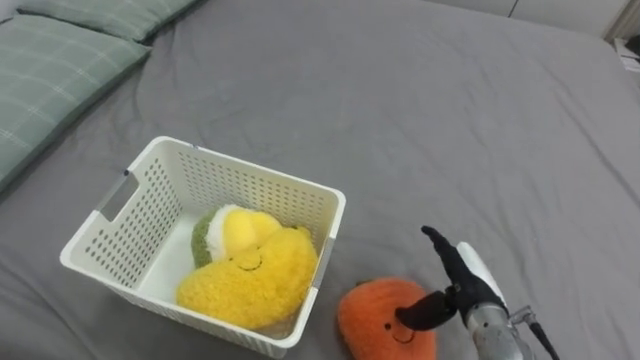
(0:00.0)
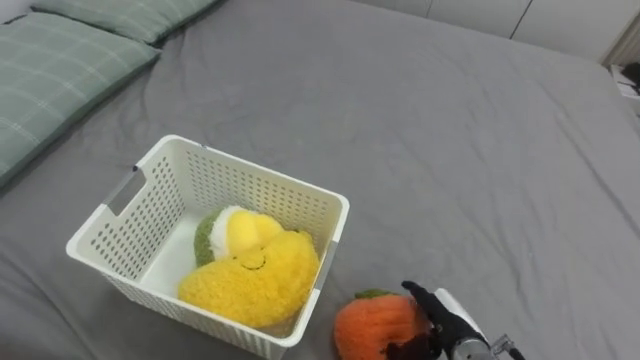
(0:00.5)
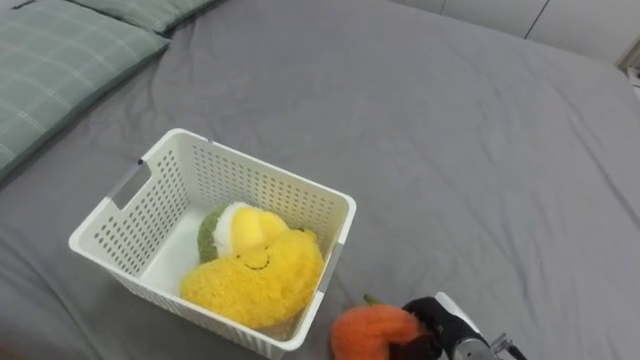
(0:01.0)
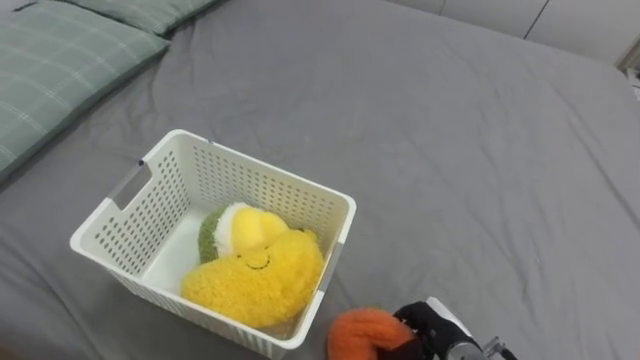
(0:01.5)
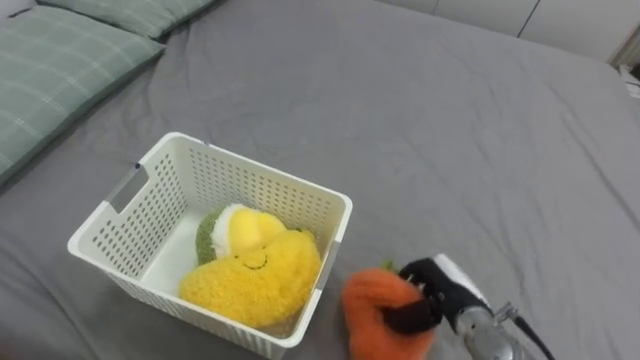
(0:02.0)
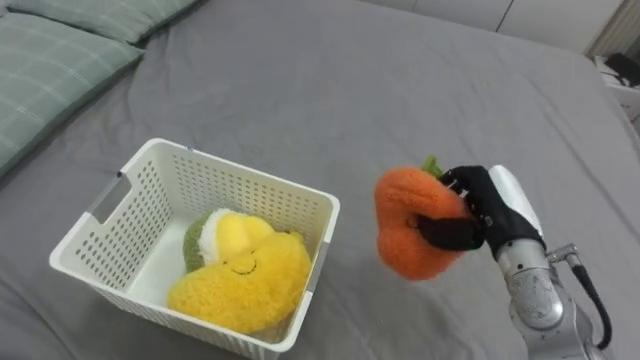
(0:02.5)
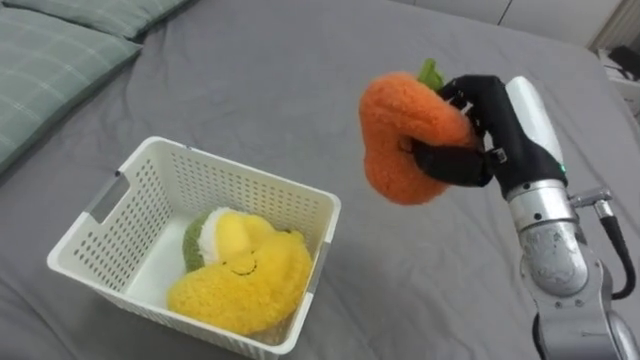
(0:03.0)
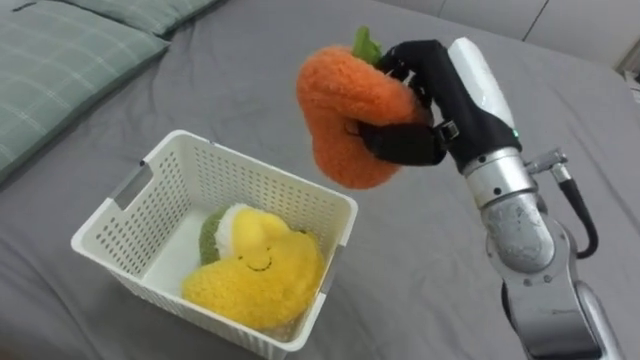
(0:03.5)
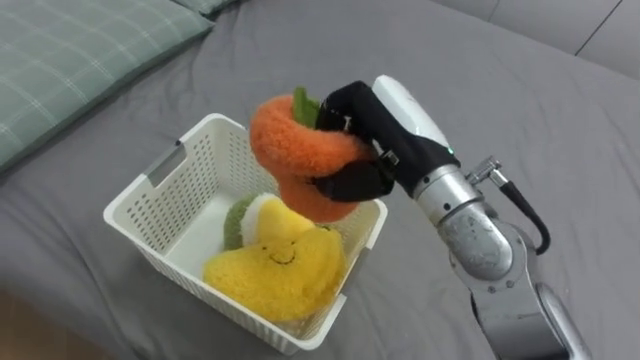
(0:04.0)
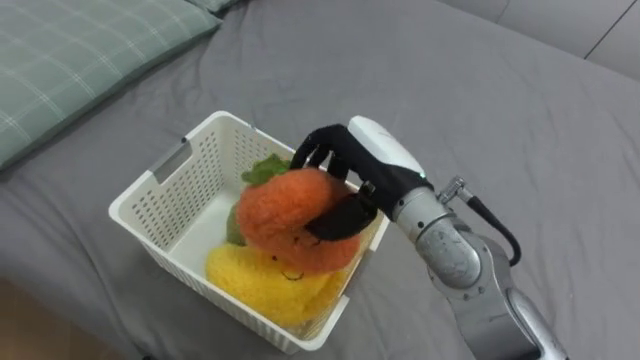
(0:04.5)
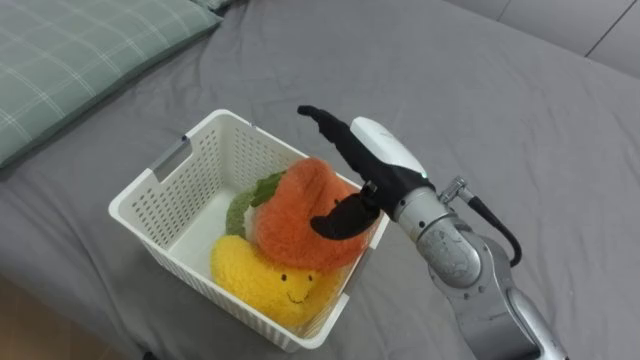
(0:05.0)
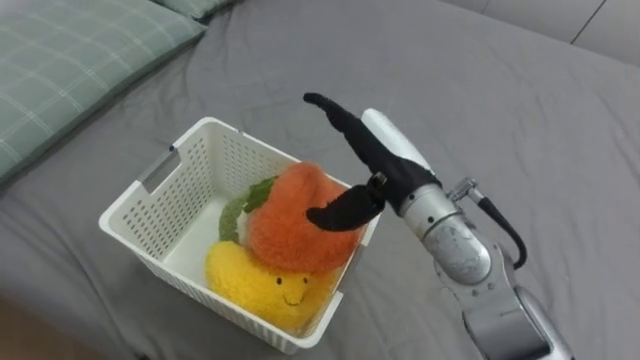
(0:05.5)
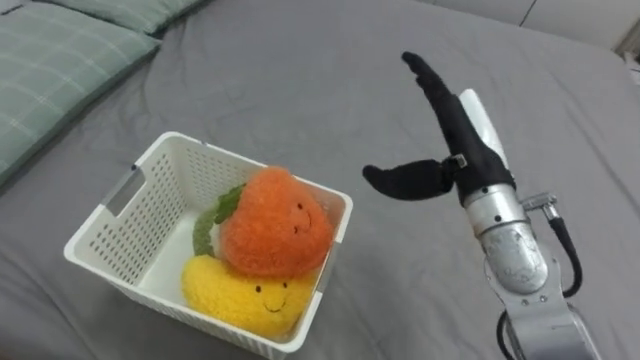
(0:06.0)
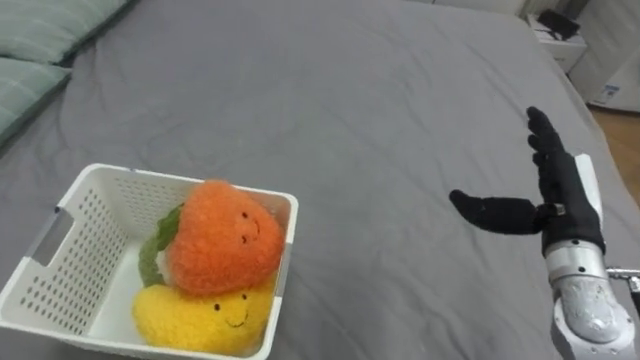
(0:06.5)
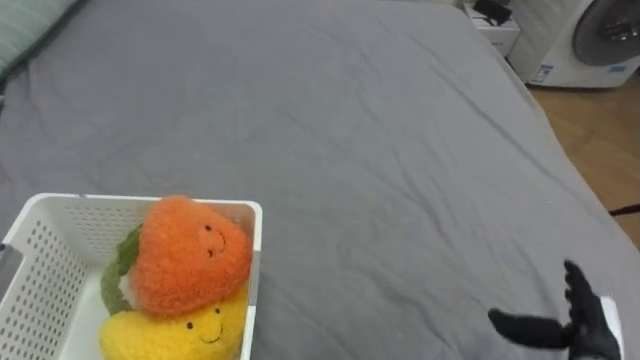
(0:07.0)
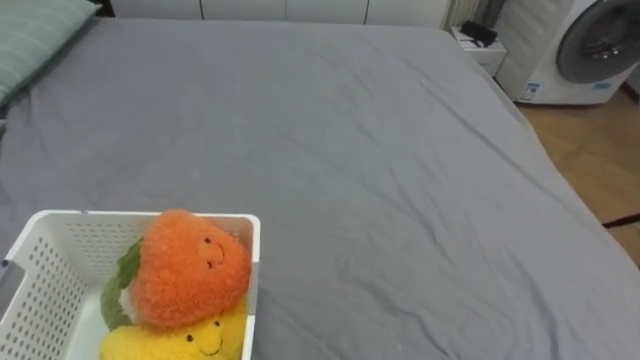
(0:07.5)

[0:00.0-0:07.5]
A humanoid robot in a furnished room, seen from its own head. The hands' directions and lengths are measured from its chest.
Task of the whole recording: Put the toys on the bed into the basket on the left.
0:00.0 to 0:02.0: The right hand closes.
0:02.0 to 0:04.0: The right hand heads upward, covering about 25 cm.
0:04.0 to 0:05.5: The right hand opens.

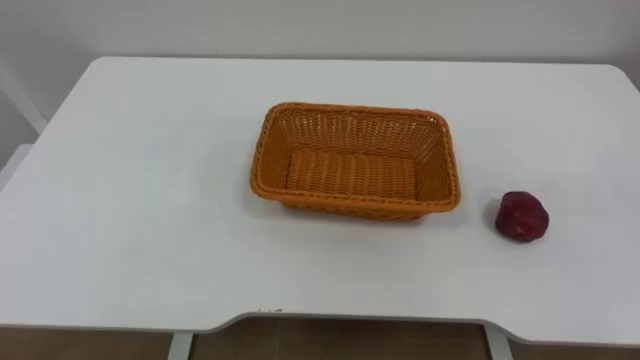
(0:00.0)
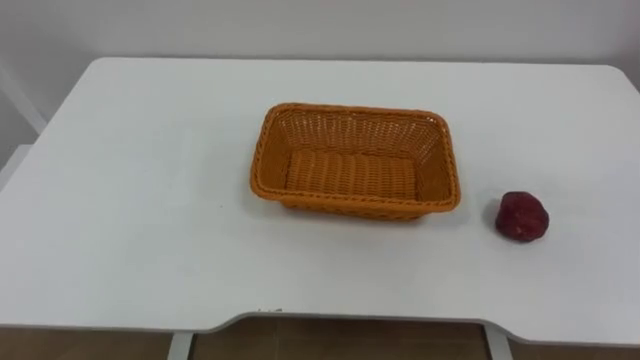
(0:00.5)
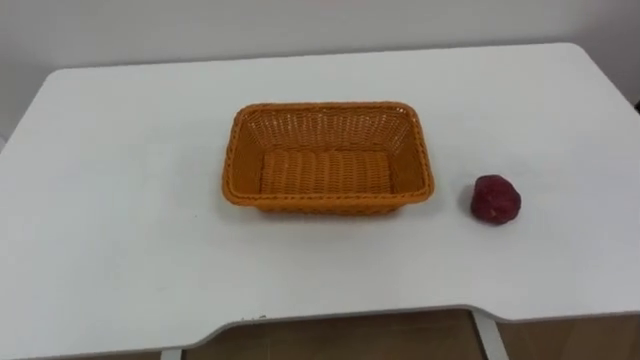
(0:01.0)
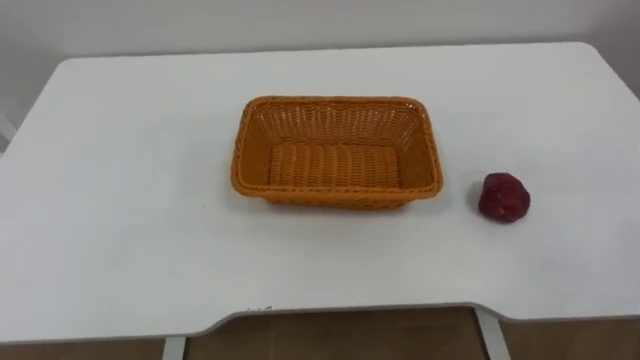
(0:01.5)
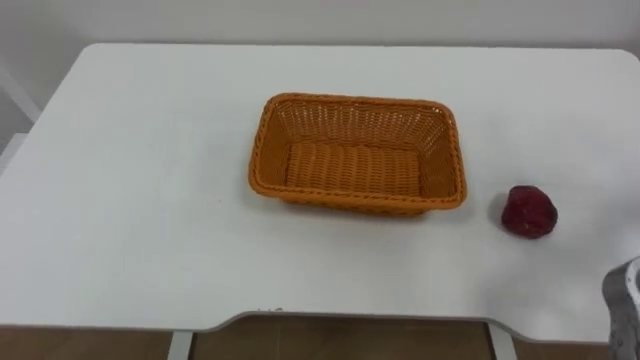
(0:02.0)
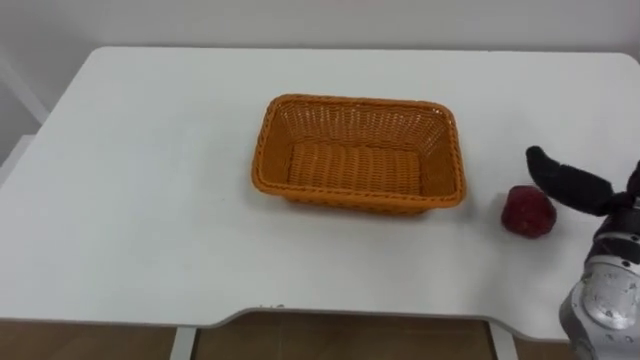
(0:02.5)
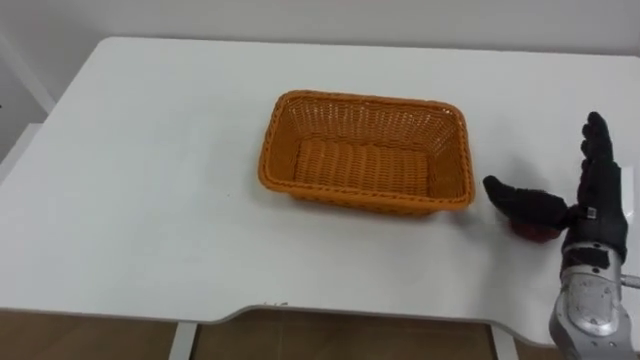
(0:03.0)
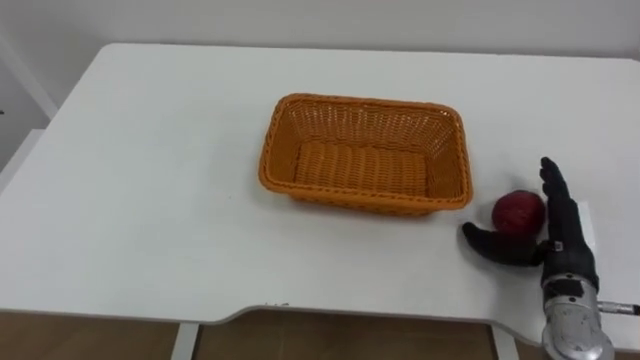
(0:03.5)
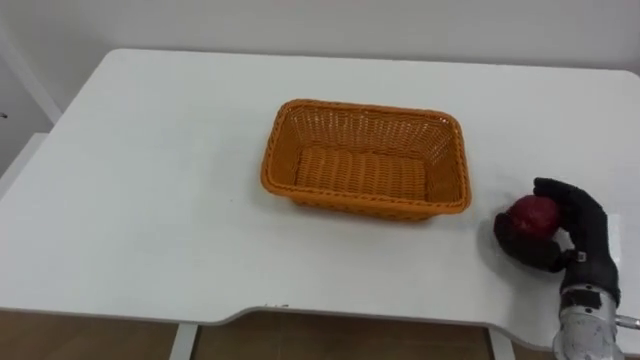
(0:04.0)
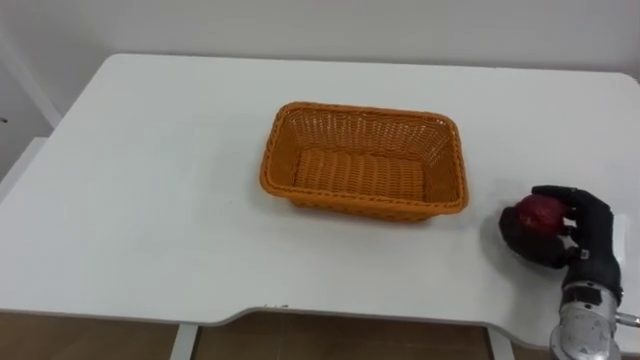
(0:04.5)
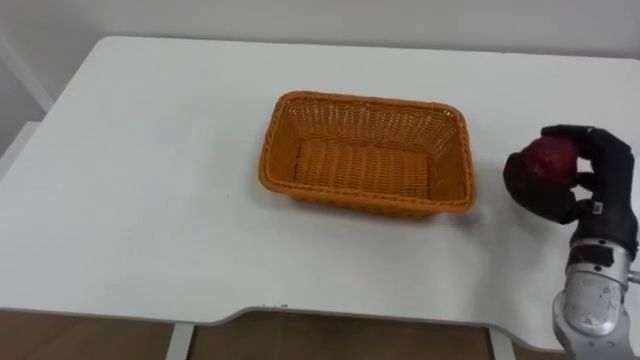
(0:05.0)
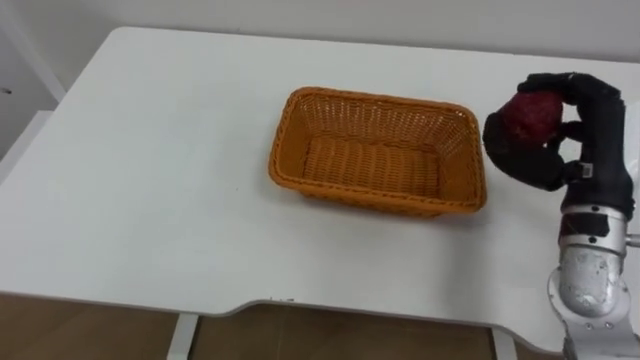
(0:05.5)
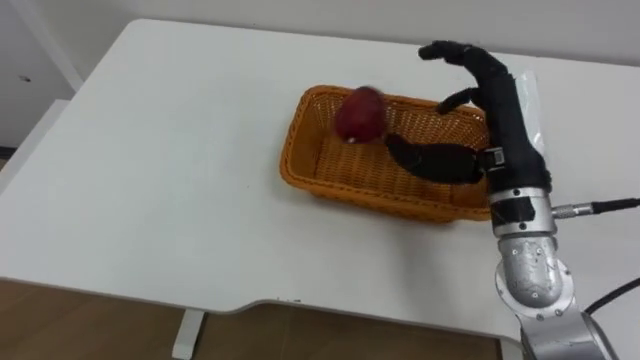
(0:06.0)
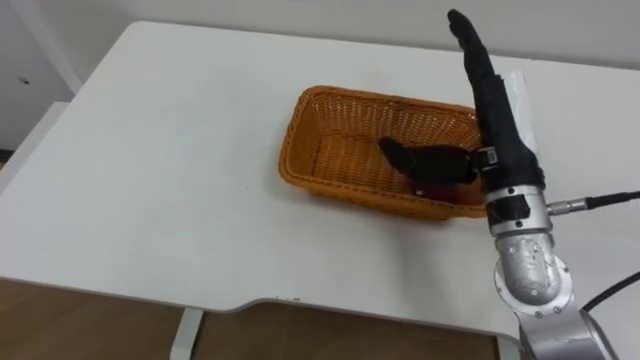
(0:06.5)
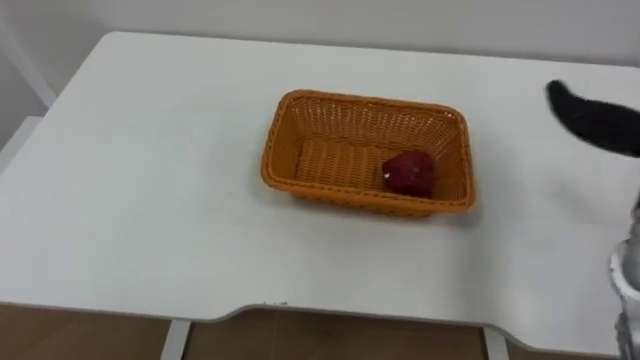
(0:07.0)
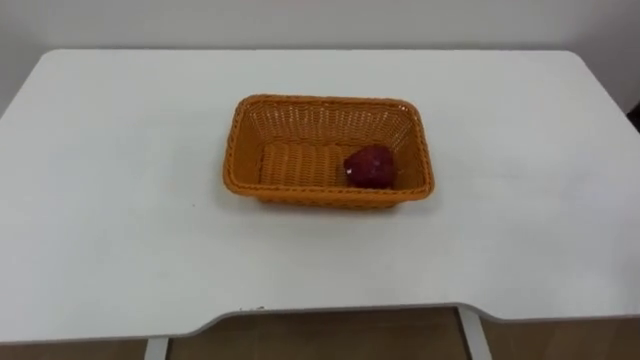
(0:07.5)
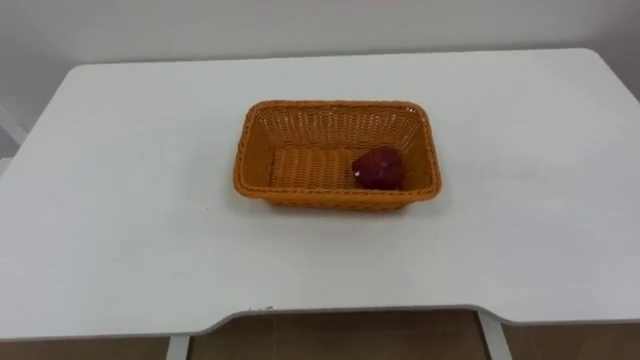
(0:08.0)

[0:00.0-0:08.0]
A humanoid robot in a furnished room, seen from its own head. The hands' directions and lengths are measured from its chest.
Task of the whole recording: Pick the apple and place it in the box.
0:04.0 to 0:06.0: The right hand is displaced upward and to the left by about 20 cm.

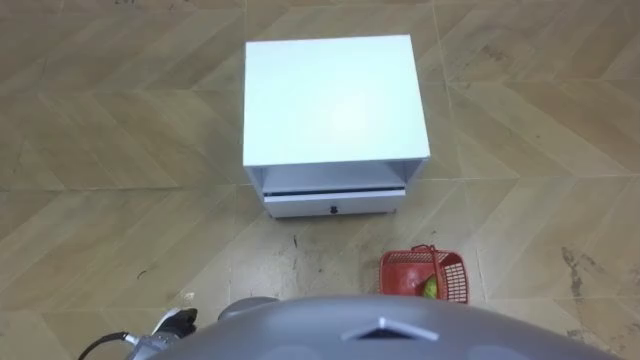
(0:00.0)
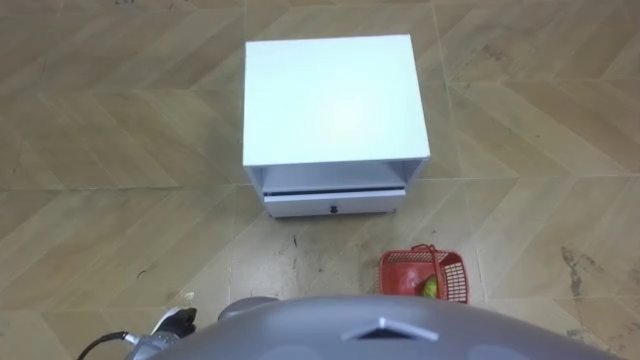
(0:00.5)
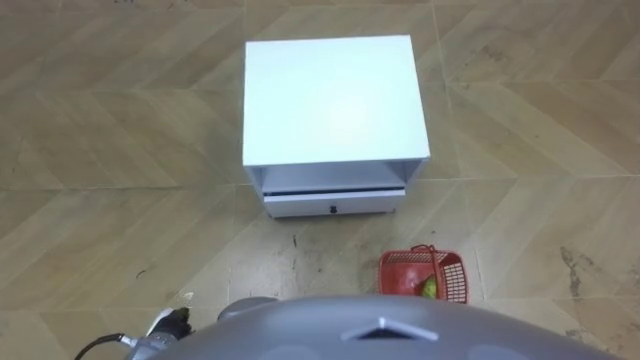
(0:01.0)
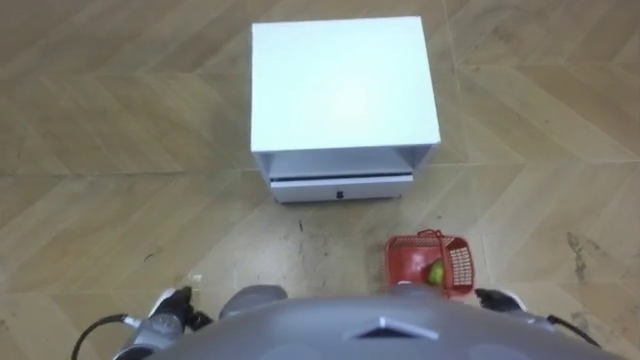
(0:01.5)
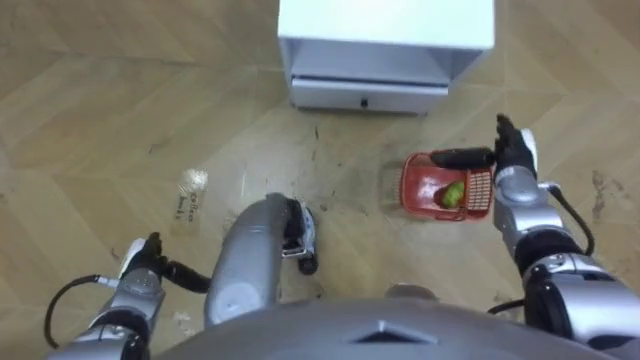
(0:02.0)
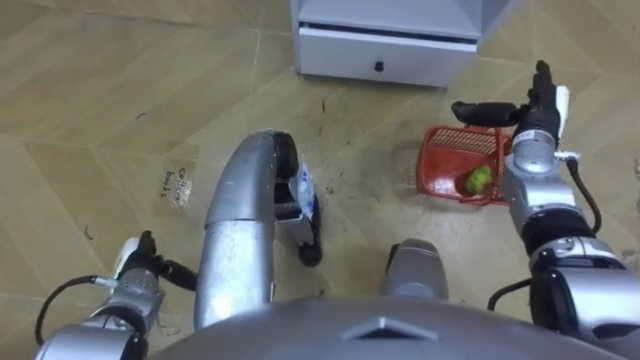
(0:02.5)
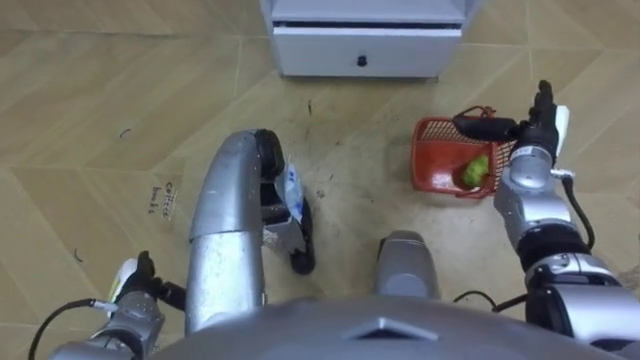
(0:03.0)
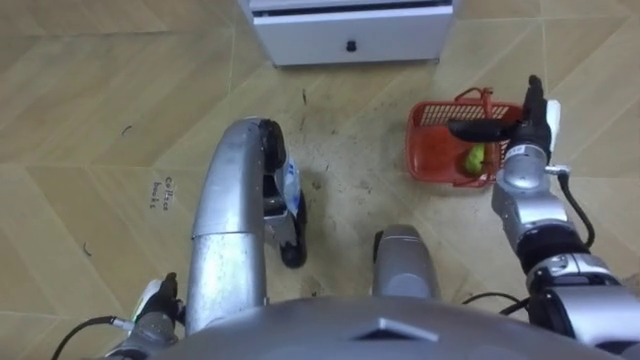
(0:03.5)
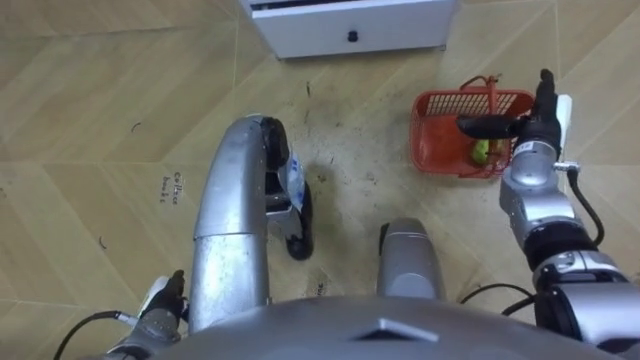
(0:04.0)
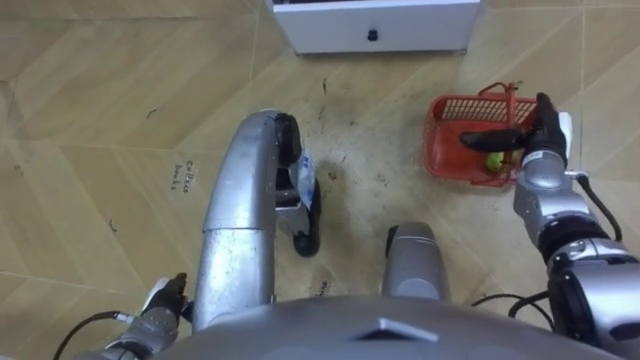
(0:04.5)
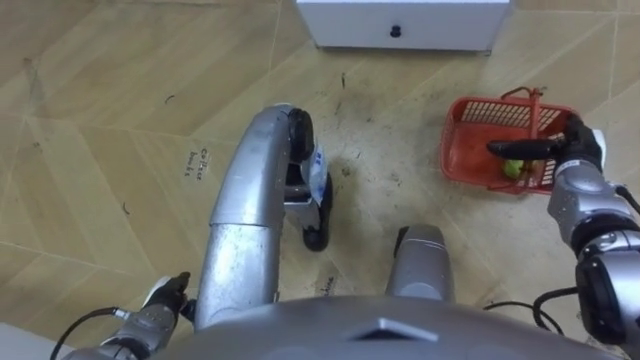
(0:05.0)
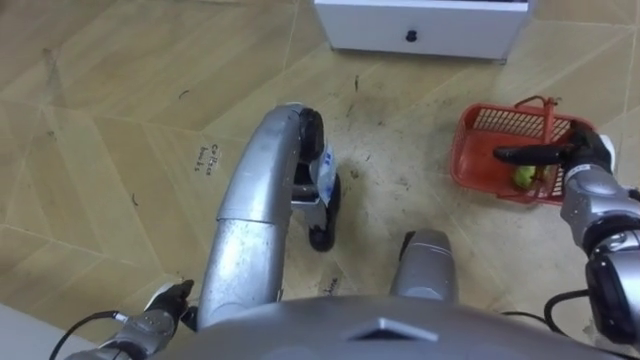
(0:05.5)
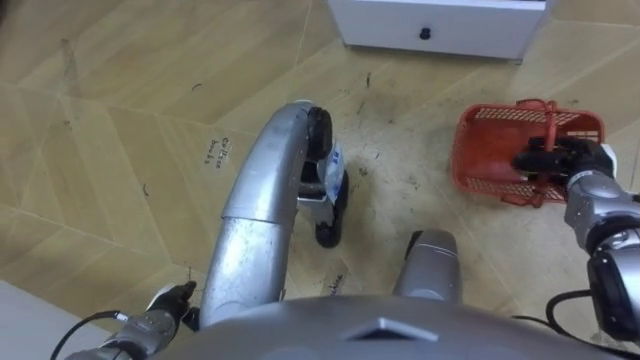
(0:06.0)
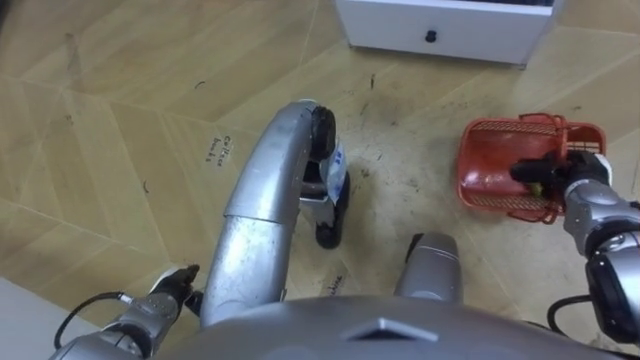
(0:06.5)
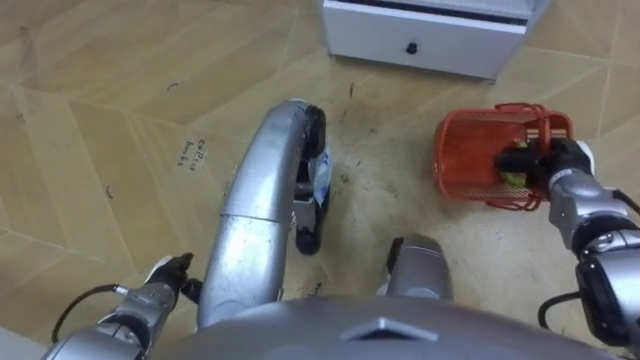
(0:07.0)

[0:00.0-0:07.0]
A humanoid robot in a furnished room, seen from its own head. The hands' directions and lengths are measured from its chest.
Task of the whole recording: Pick up the fruit basket from the floor and place it on the cabinet.
0:02.0 to 0:03.5: The left hand goes about 5 cm backward, while the right hand shifts by some 5 cm.
0:03.5 to 0:05.0: The right hand goes roughly 5 cm to the right.
0:05.0 to 0:07.0: The right hand closes its fingers.
